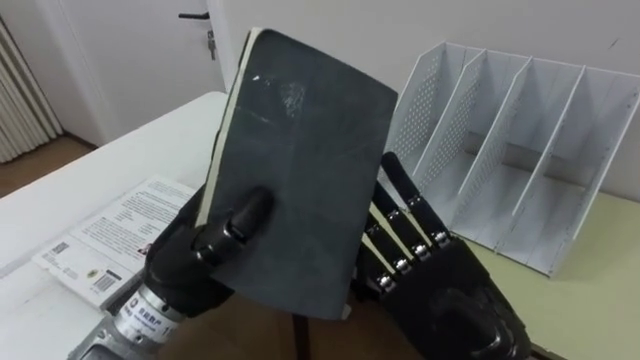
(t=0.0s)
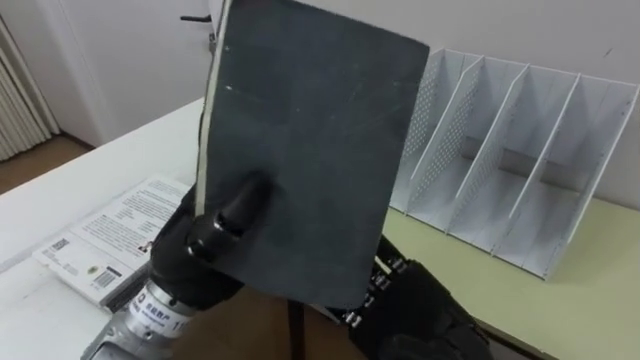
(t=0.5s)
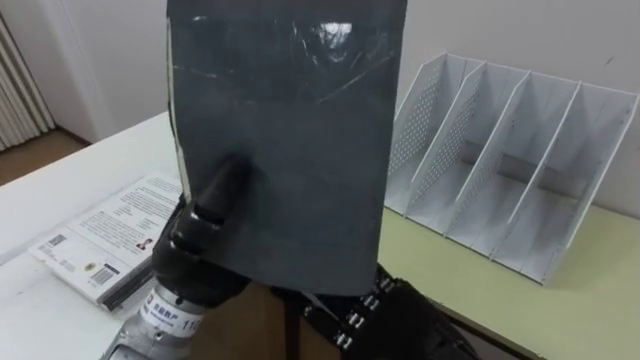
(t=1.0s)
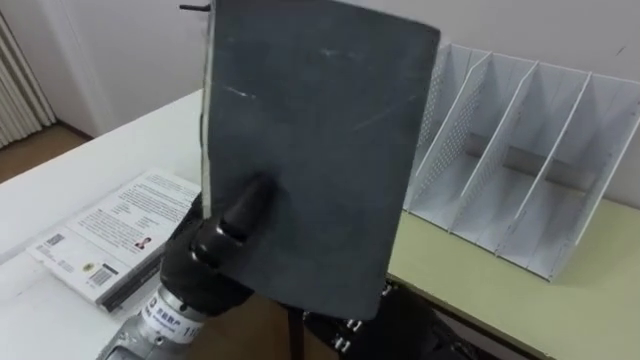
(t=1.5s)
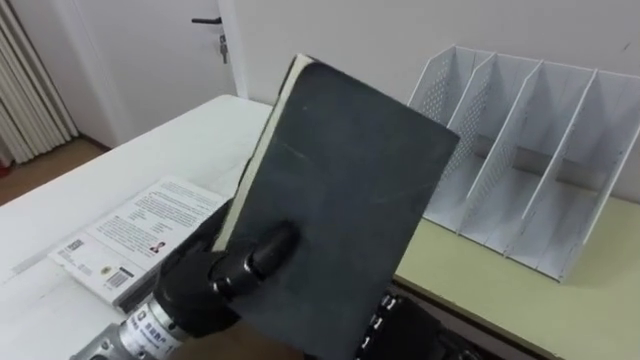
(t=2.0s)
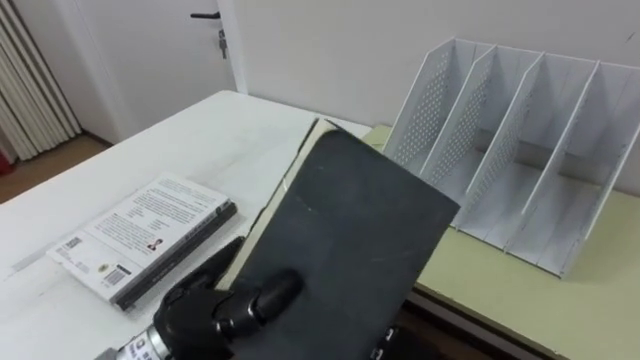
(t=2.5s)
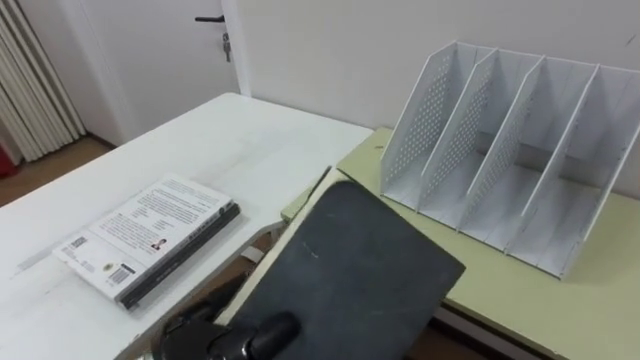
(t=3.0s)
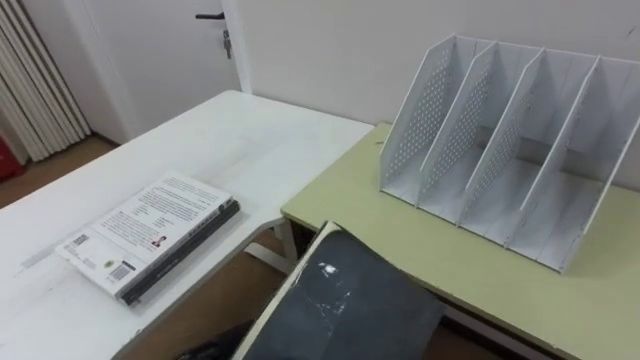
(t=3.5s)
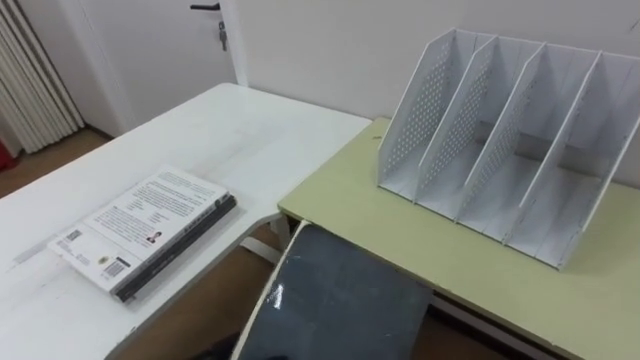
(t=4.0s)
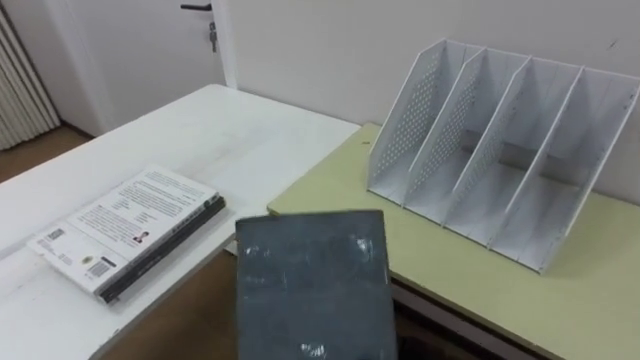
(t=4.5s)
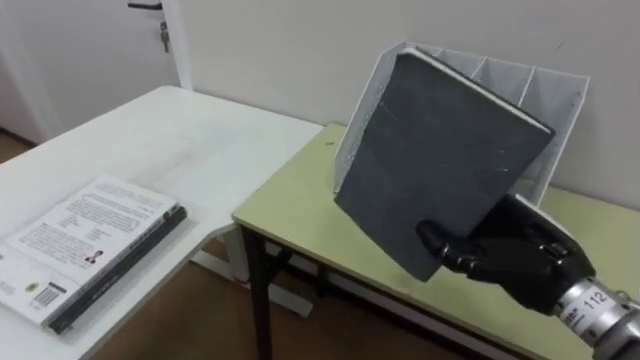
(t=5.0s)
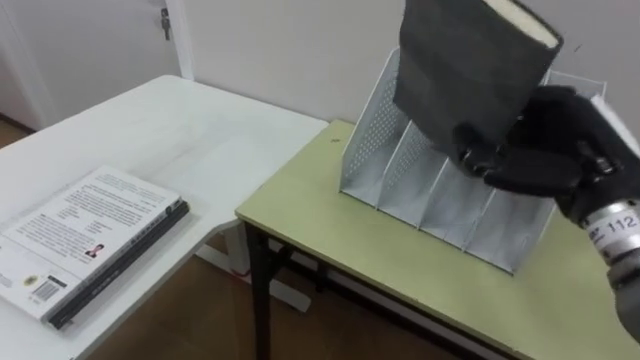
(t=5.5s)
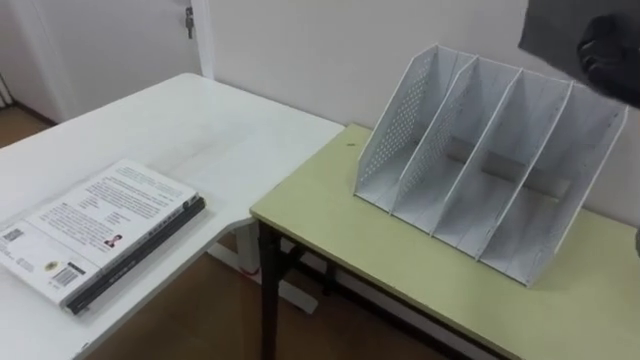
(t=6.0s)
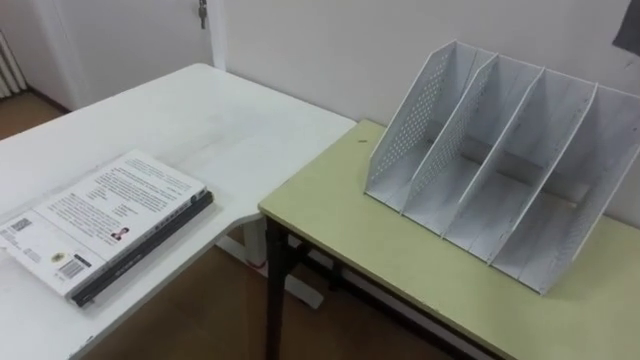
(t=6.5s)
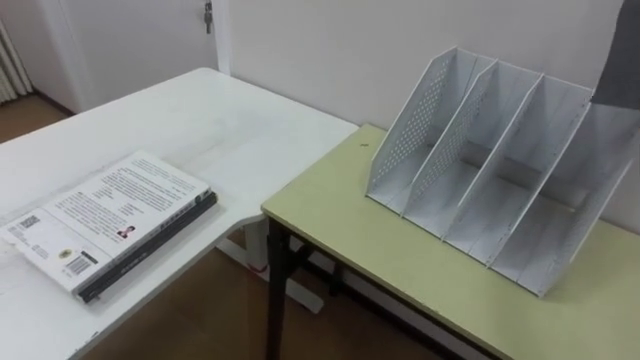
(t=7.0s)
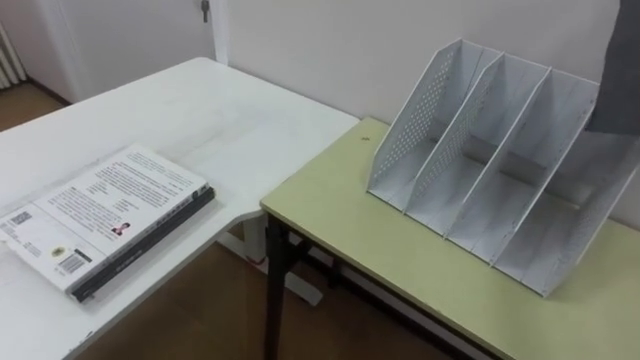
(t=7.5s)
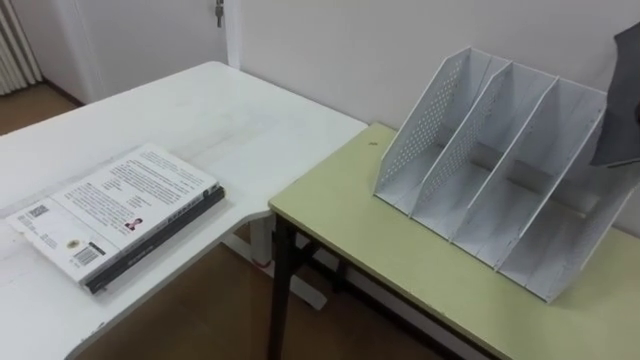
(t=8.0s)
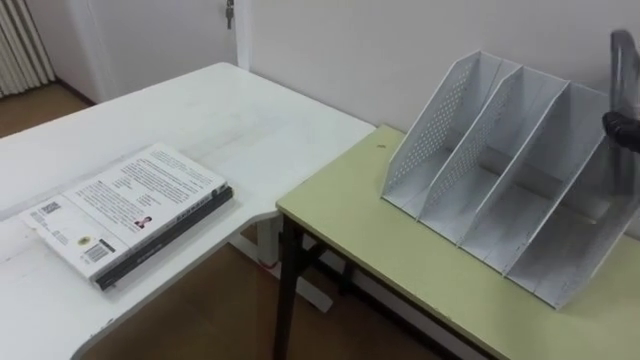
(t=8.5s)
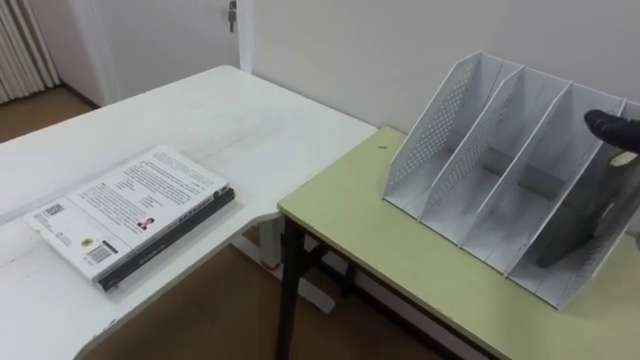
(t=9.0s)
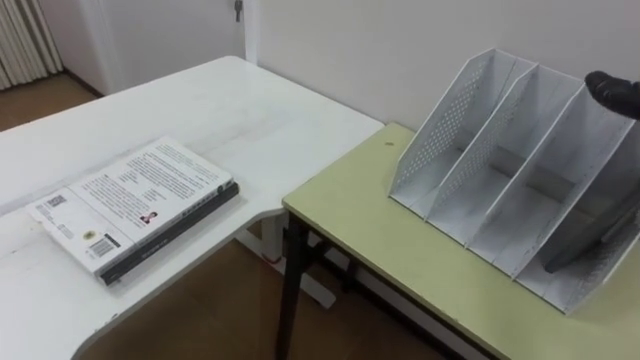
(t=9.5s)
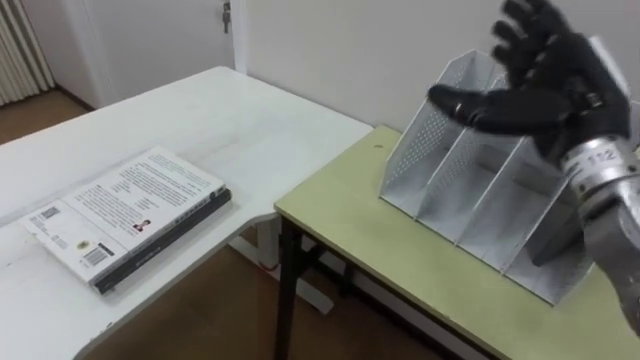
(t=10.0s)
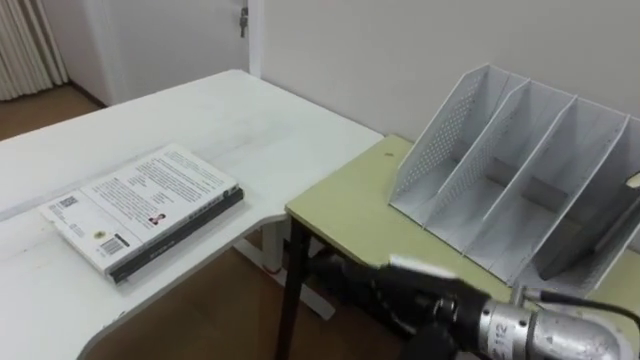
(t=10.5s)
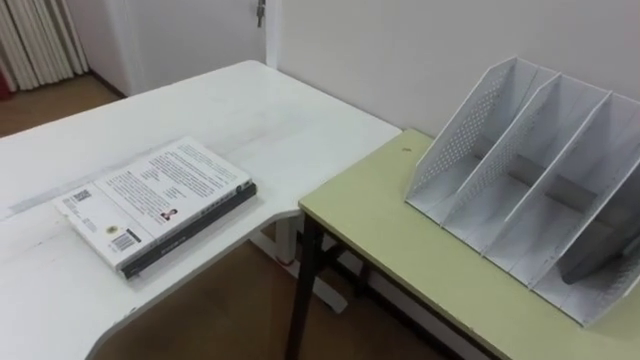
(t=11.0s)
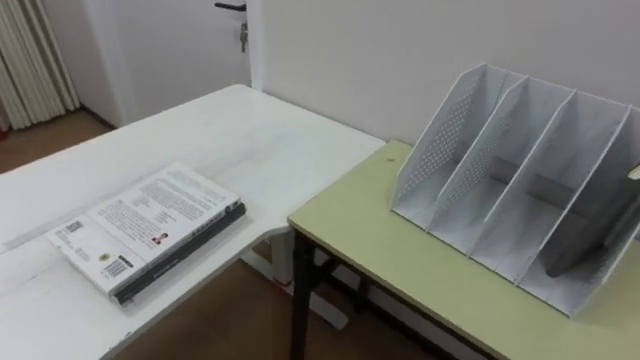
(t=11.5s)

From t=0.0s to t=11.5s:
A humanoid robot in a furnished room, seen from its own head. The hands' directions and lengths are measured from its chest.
Task of the whole recording: Put the books on the table onto the bookshelf.
From t=0.0s to t=2.0s: The right hand ends up roughly 5 cm from where it was.
From t=2.0s to t=4.0s: The left hand shifts about 15 cm downward and backward.

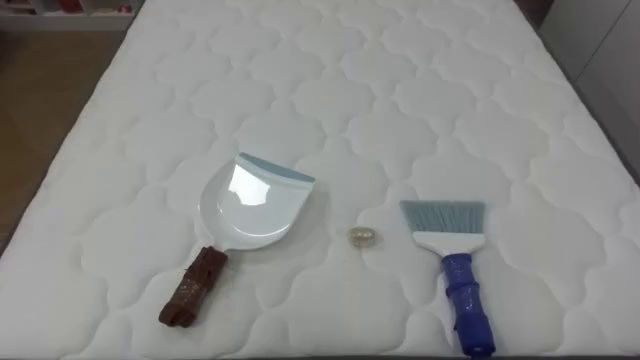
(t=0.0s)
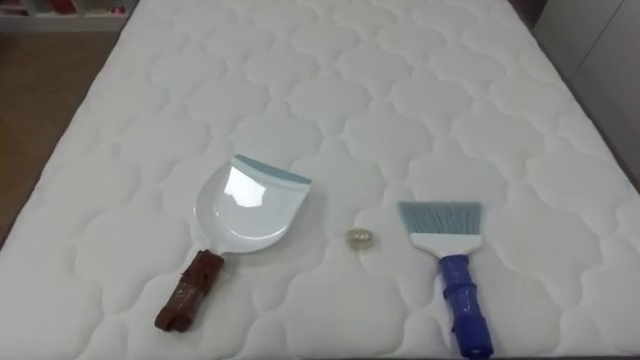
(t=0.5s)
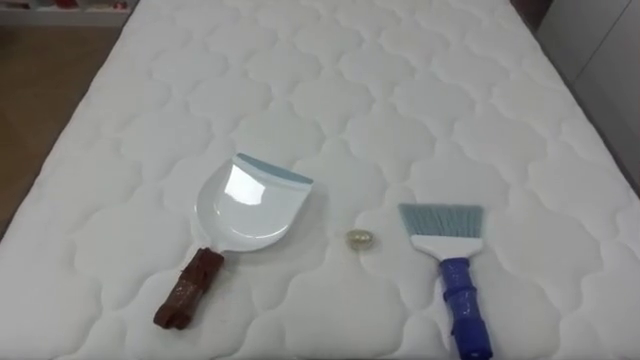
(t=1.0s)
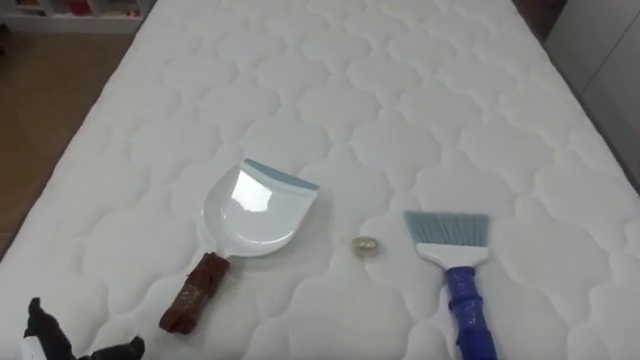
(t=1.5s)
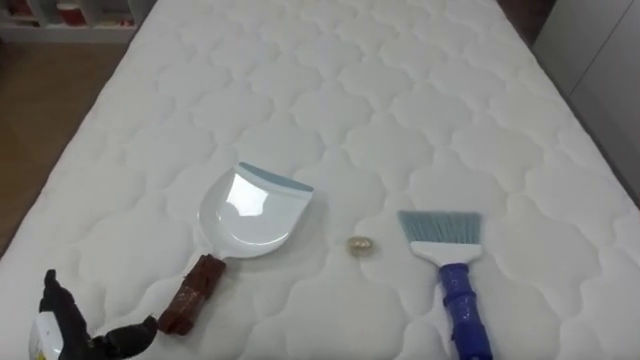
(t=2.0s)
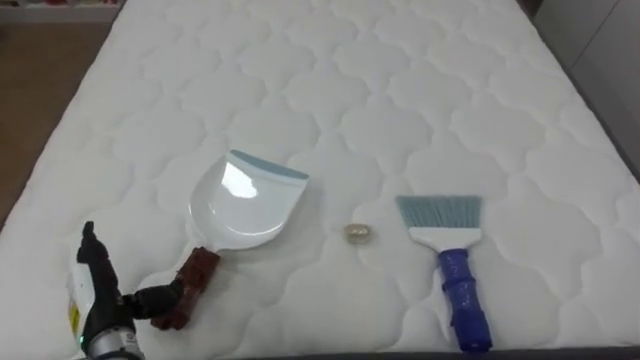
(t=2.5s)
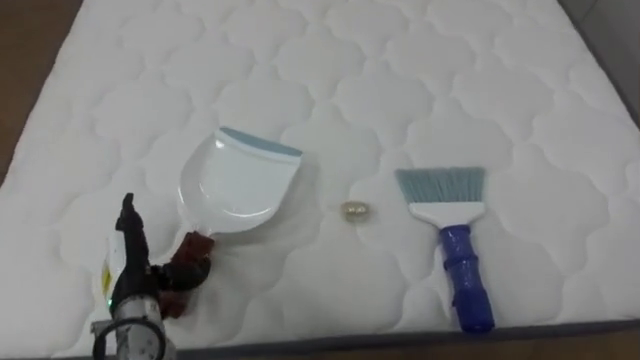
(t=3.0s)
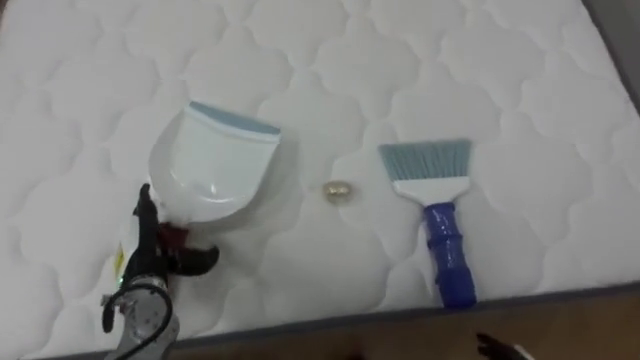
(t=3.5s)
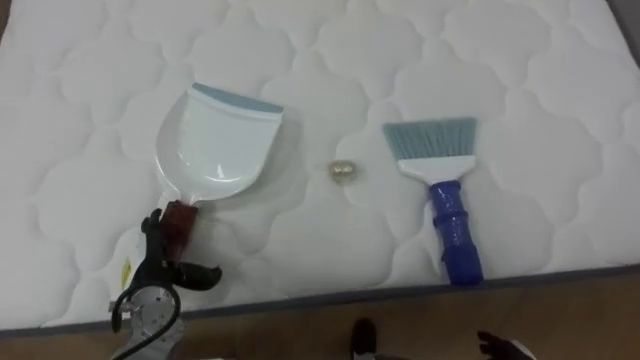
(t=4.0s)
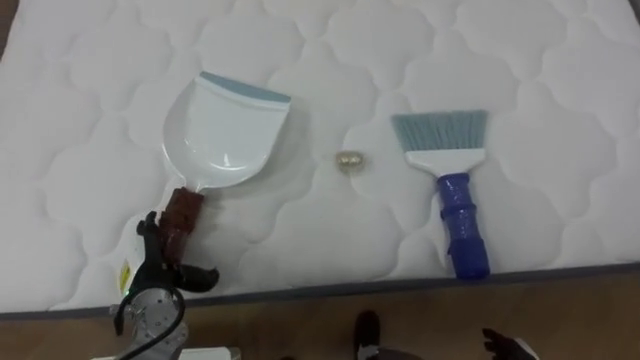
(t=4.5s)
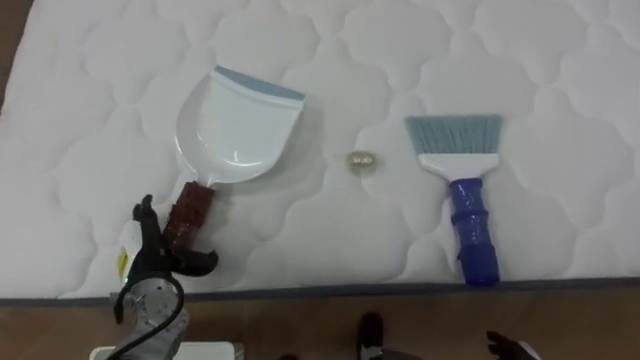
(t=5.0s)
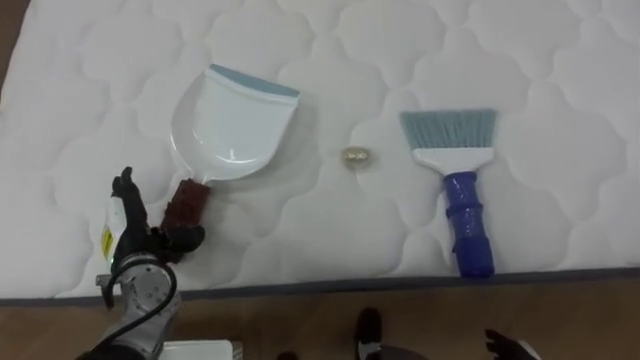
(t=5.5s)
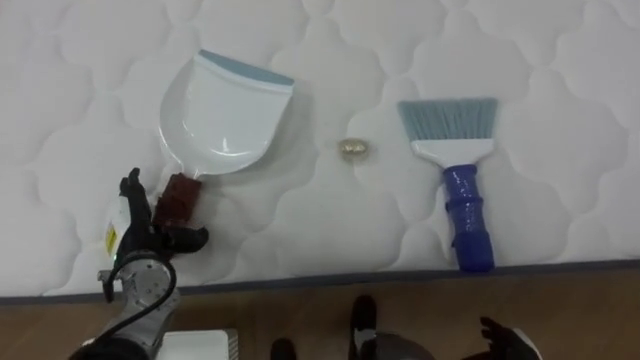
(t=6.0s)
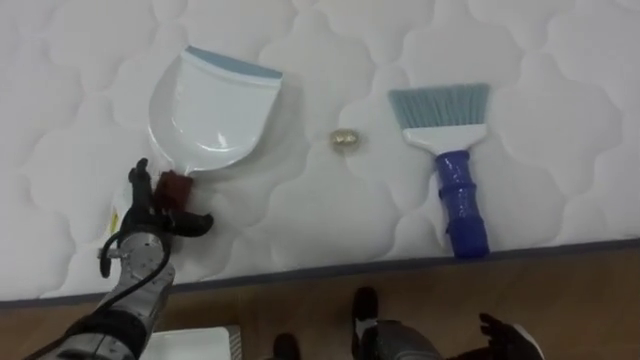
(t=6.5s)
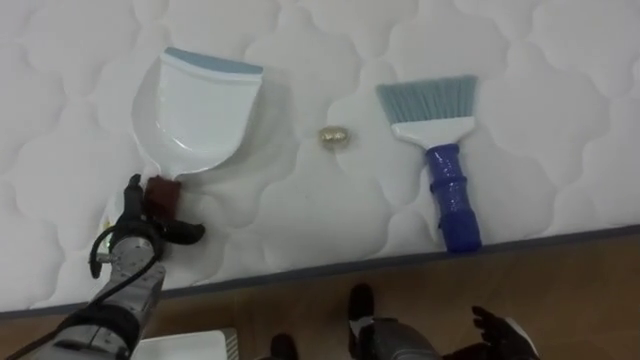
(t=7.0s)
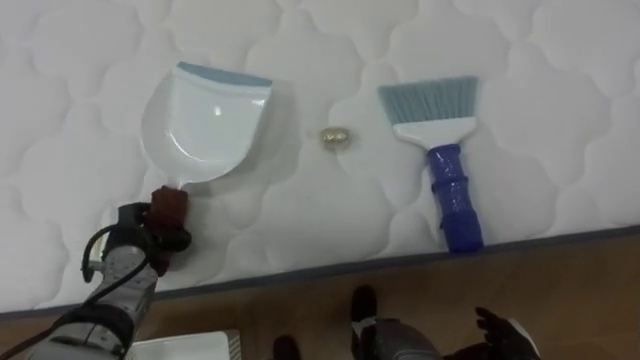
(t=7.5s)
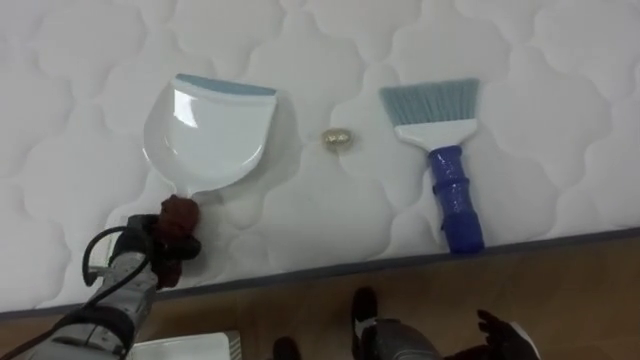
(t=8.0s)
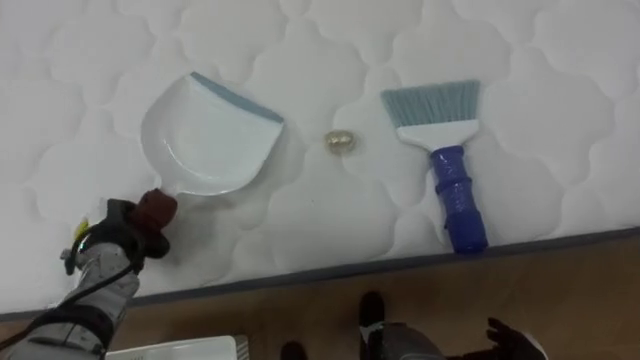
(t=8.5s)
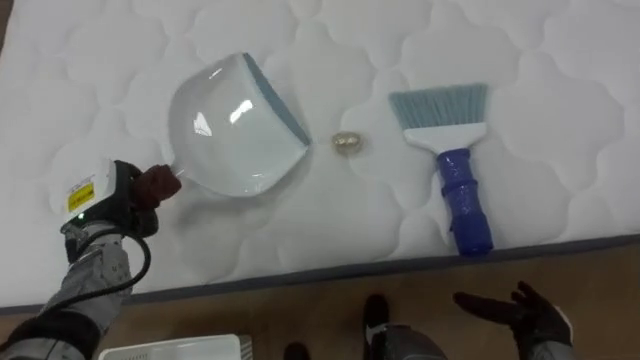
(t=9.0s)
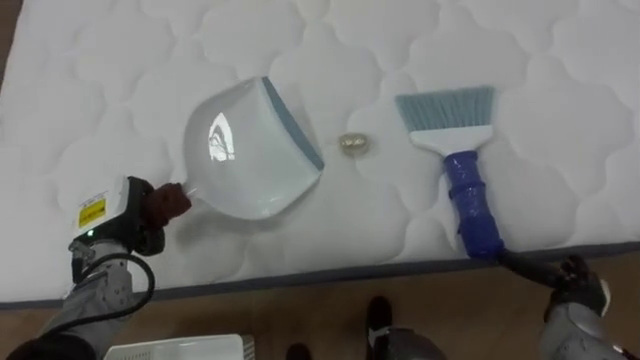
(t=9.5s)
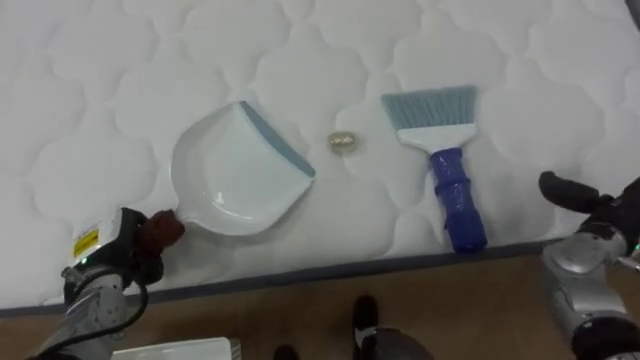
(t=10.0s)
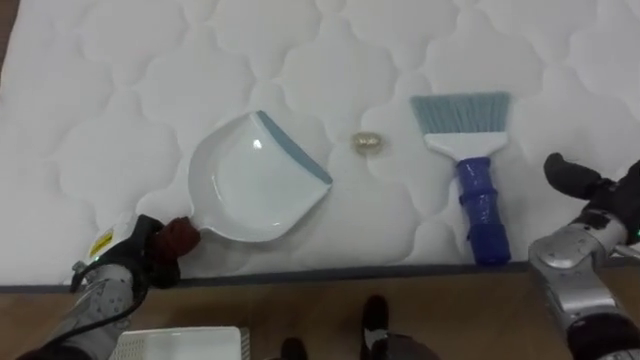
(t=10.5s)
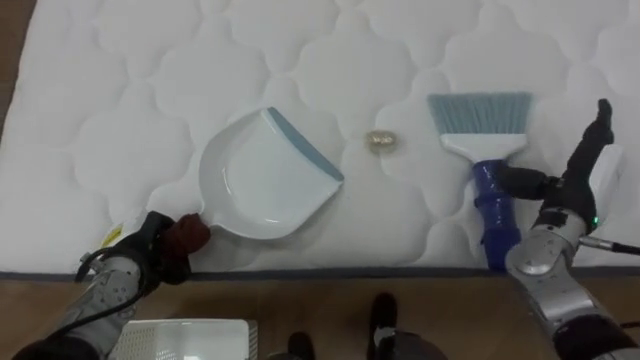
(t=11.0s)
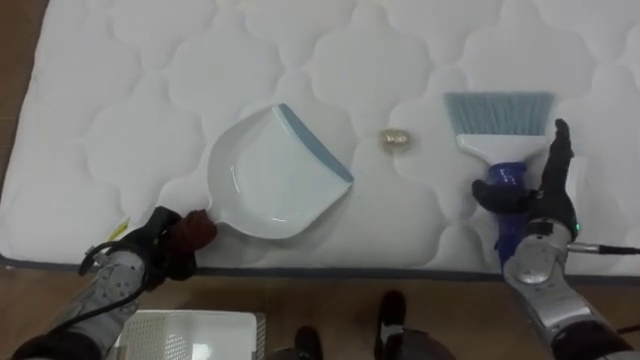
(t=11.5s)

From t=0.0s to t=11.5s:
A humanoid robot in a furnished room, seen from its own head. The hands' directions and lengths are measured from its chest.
Task of the whole recording: Pick up the brush on your right and the dustpan on your left. Use the brush to sweep the crumpled paper on the bed into the dustpan, then turn left and empty it into the basket.
From t=2.0s to t=4.0s: The left hand heads forward and to the right, covering about 15 cm.
From t=4.0s to t=6.0s: The left hand moves some 5 cm.
From t=6.0s to t=7.5s: The left hand closes.
From t=9.5s to t=11.5s: The right hand travels upward and forward by about 15 cm. Meanwhile the left hand ends up about 5 cm from where it was.
